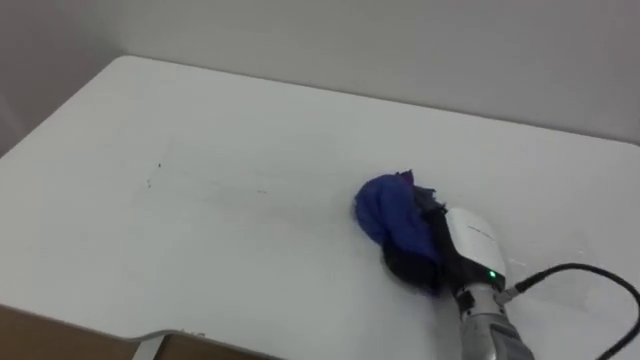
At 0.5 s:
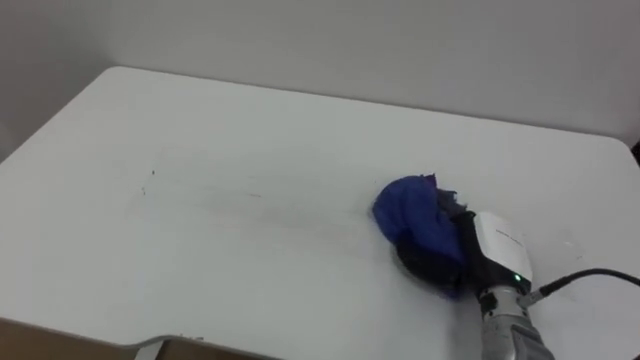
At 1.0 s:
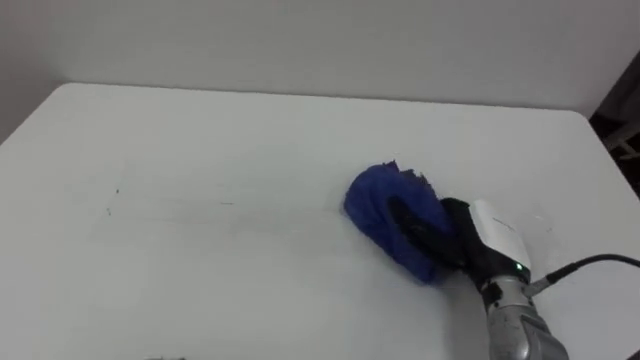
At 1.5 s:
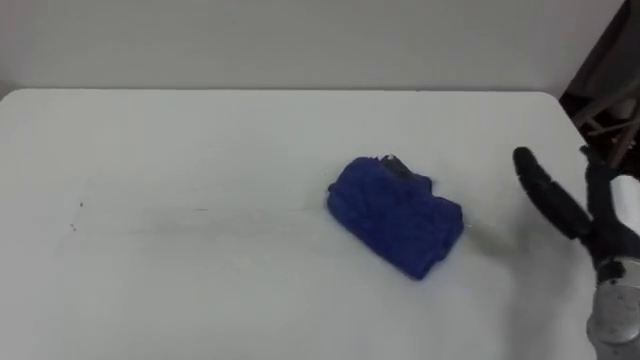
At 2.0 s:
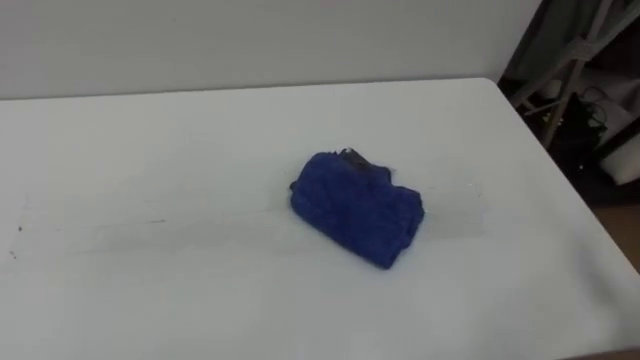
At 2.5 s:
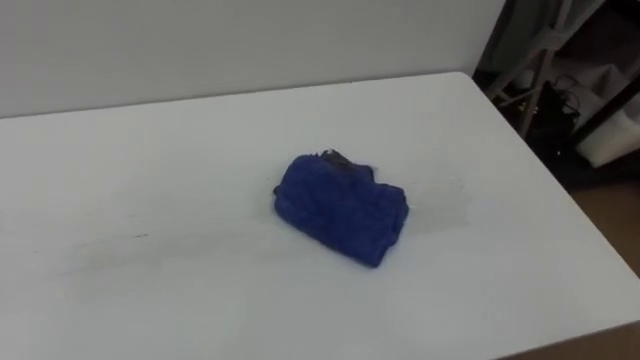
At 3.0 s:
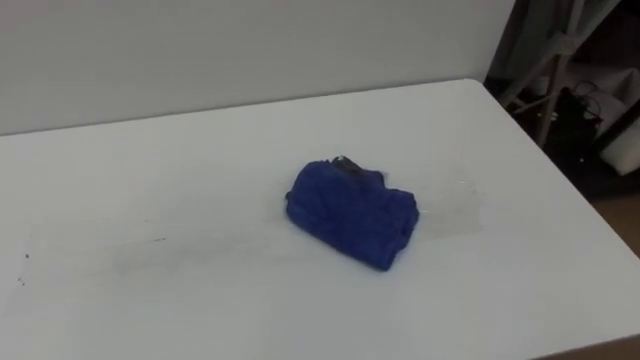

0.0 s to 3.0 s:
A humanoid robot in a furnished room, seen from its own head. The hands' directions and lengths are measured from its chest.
Task of the whole recording: Wipe the blue pen marks off the table with the rag.
0.0 to 1.5 s: The right hand travels to the right and upward by approximately 15 cm, and opens its fingers.

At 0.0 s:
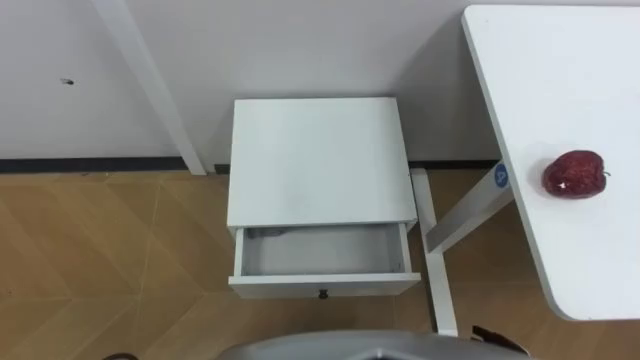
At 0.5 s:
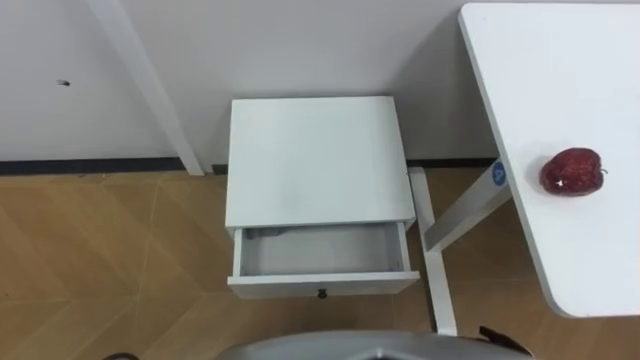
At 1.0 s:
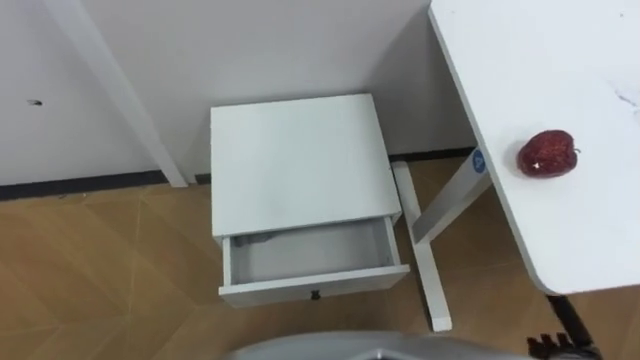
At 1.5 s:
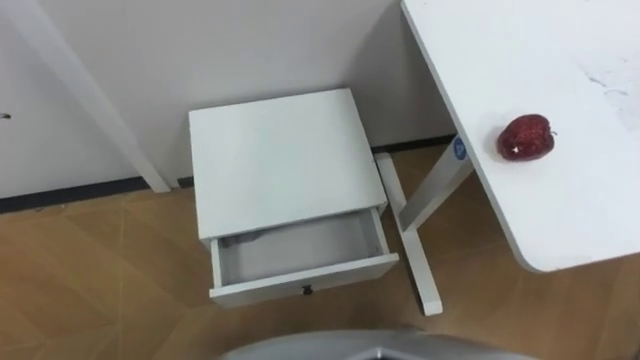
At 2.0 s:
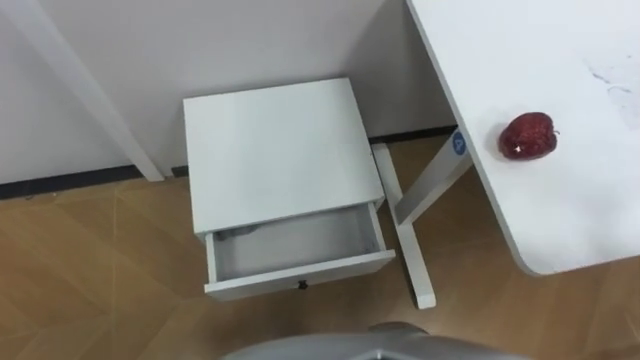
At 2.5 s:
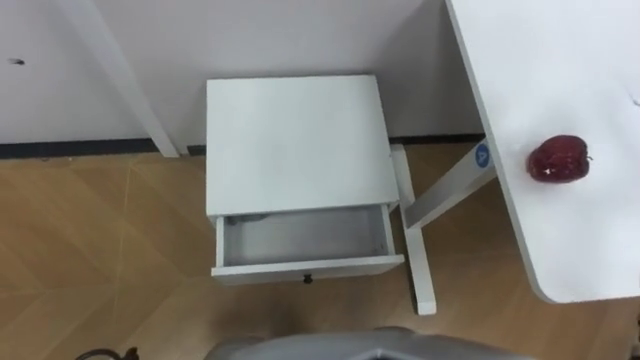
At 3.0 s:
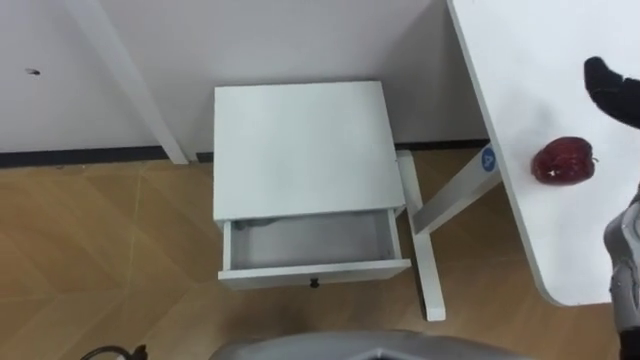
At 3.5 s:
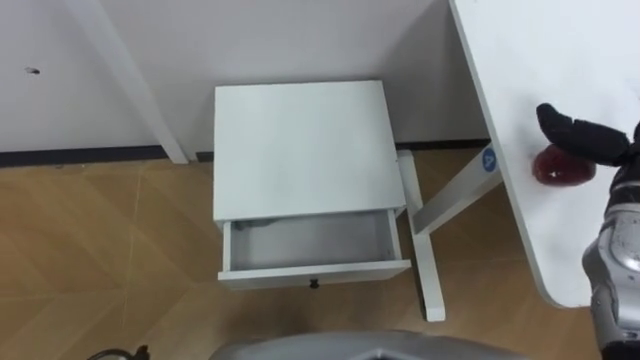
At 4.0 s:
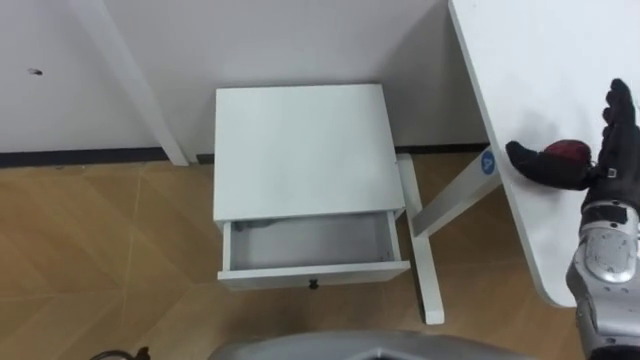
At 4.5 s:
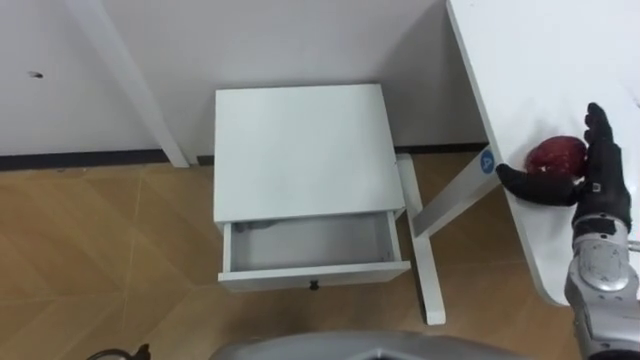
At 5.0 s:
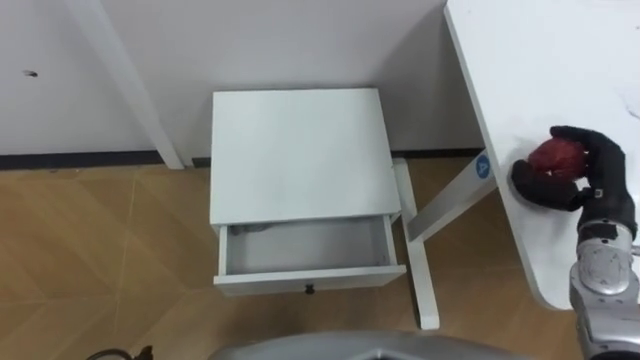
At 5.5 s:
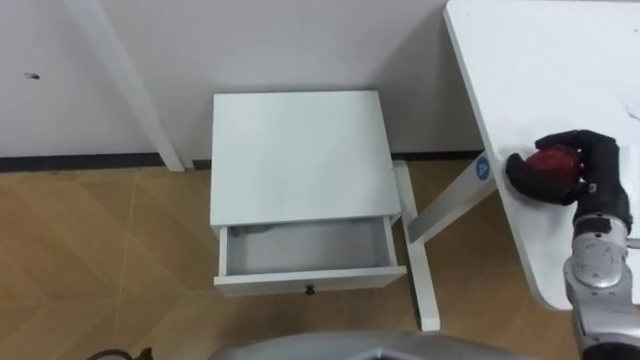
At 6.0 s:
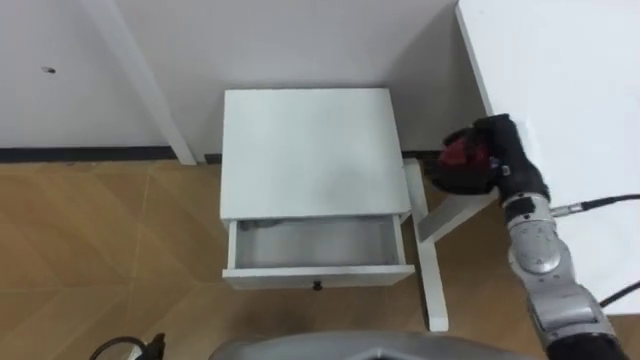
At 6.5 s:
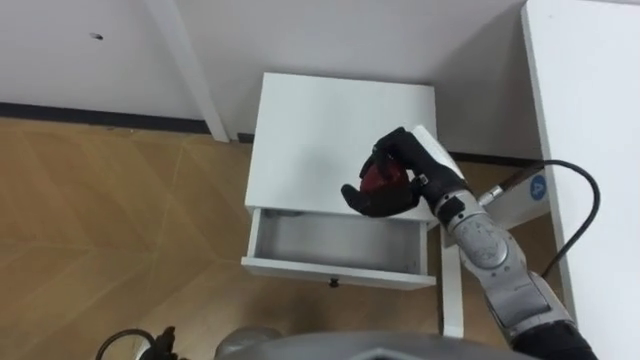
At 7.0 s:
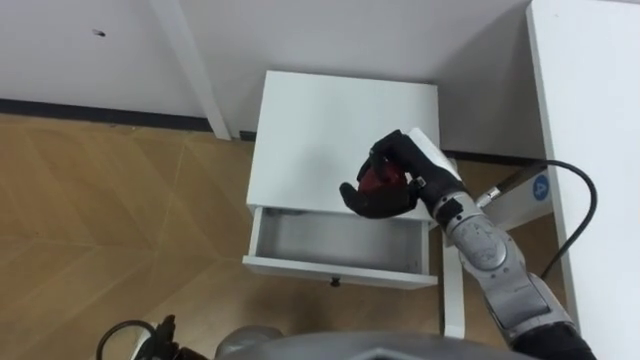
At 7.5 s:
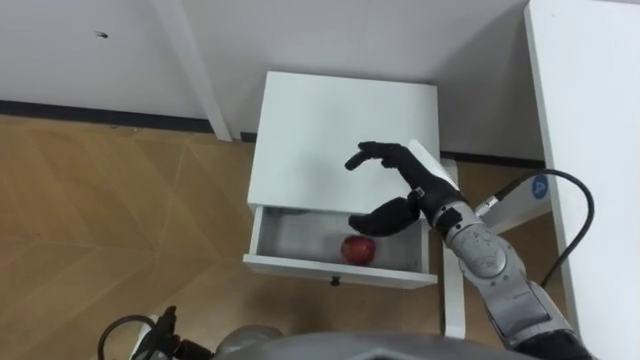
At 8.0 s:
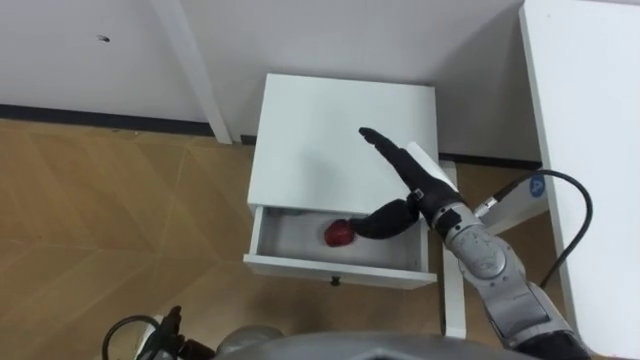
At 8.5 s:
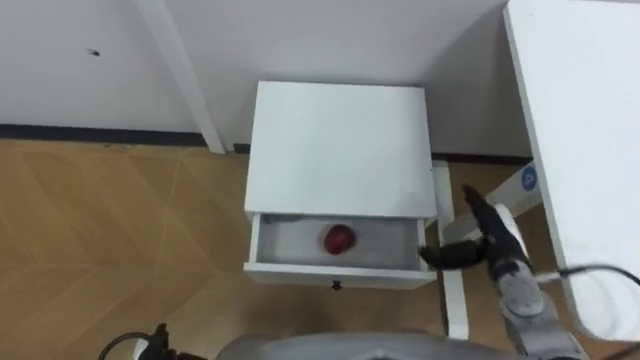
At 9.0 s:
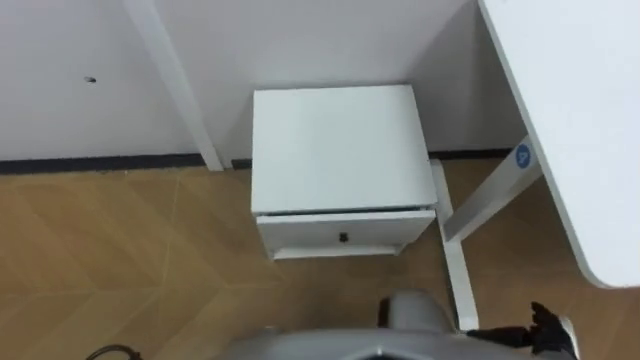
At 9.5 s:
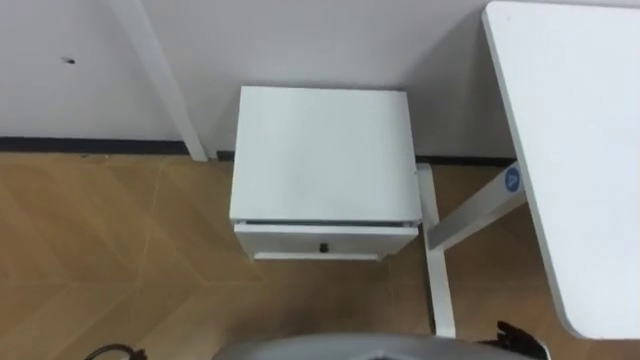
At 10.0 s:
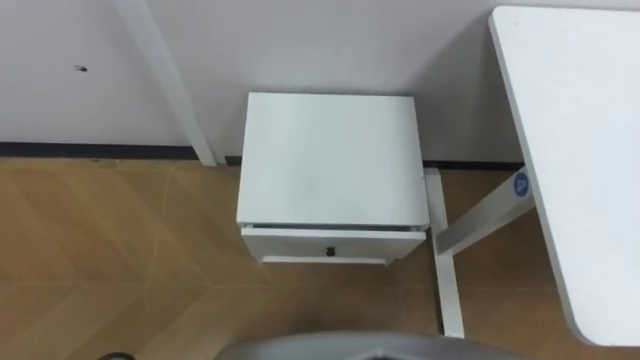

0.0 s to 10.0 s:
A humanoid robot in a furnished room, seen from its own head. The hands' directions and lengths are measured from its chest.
Task of the whole recording: Pick up the apple from the table, put it in the drawer, and close the drawer with leg.
4.0 to 6.0 s: The right hand shifts some 10 cm to the left, and closes its fingers.
6.0 to 8.0 s: The right hand shifts approximately 10 cm to the left, and opens up.

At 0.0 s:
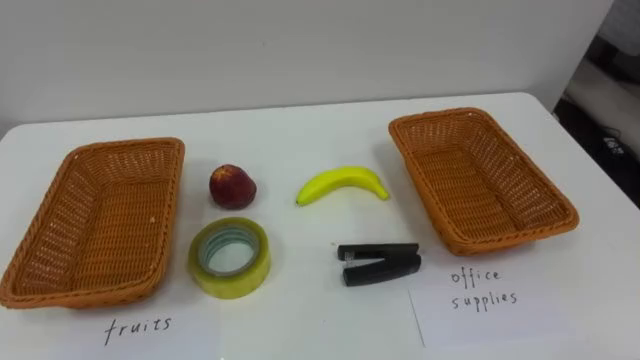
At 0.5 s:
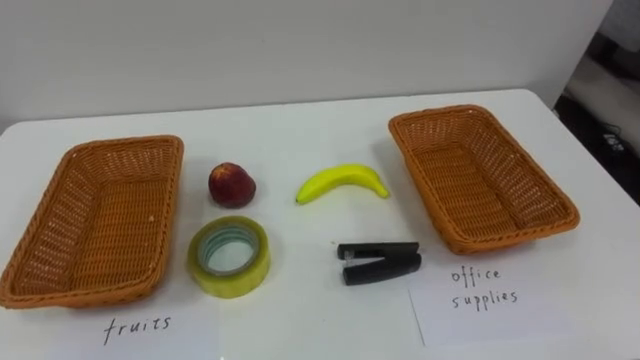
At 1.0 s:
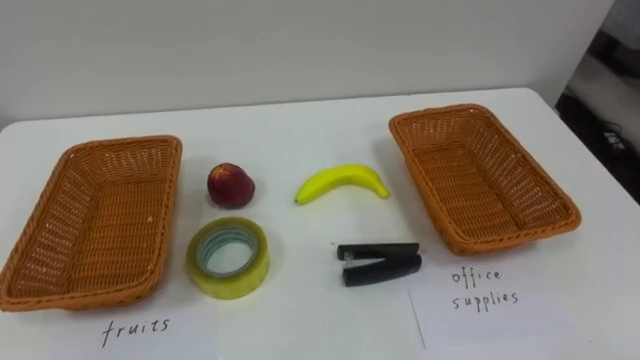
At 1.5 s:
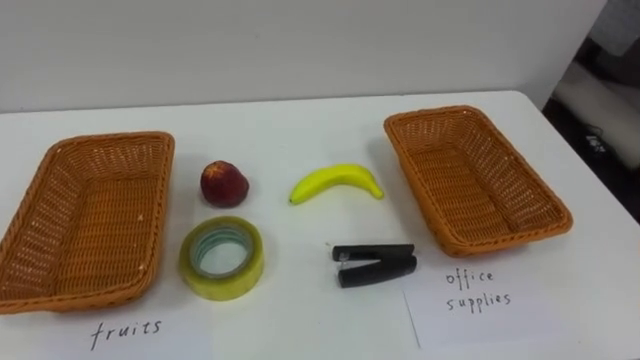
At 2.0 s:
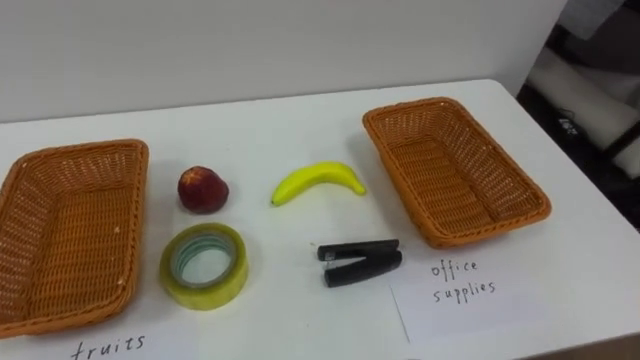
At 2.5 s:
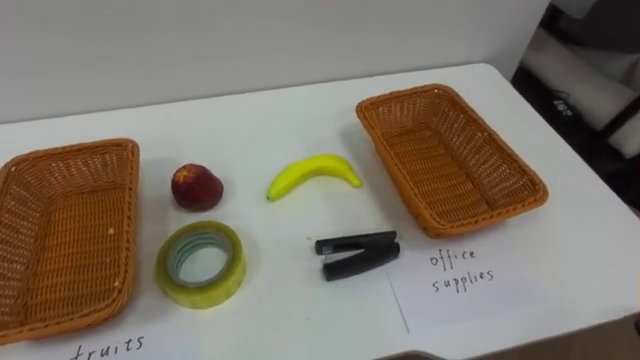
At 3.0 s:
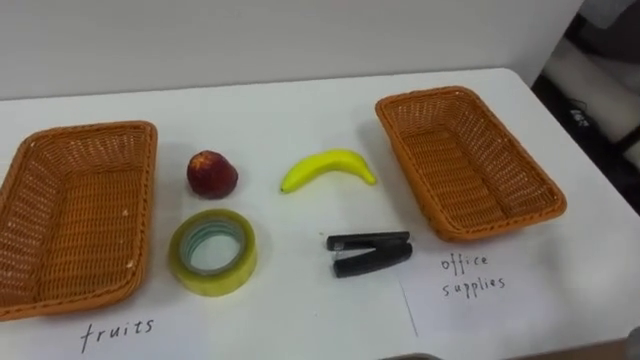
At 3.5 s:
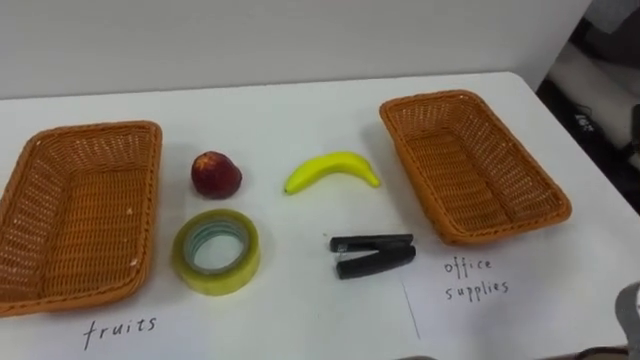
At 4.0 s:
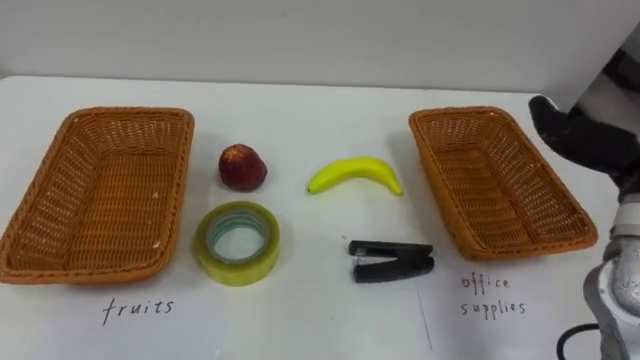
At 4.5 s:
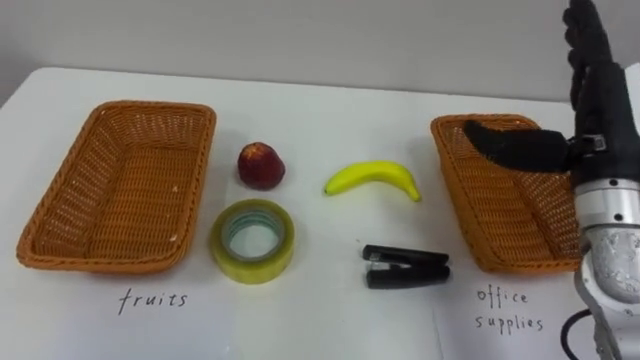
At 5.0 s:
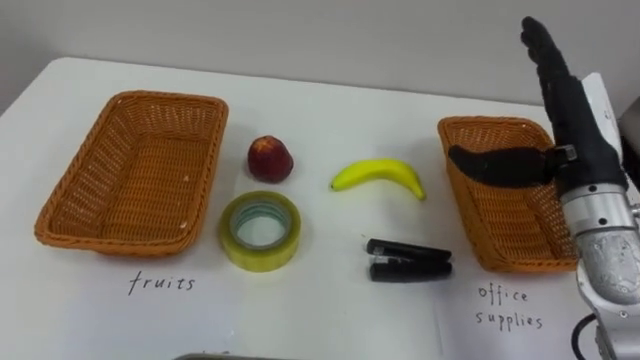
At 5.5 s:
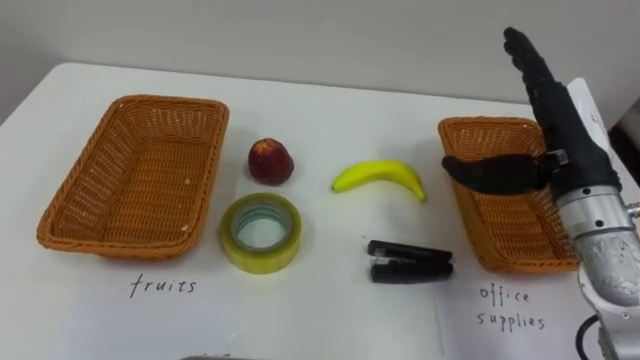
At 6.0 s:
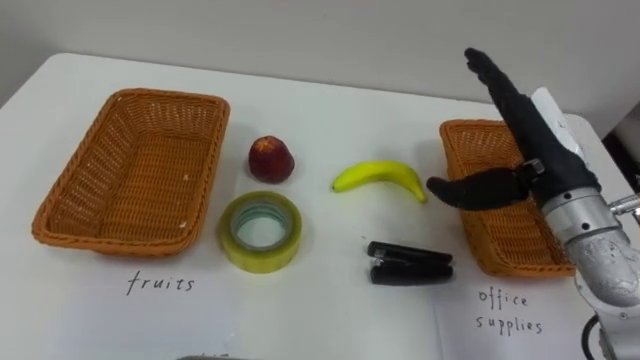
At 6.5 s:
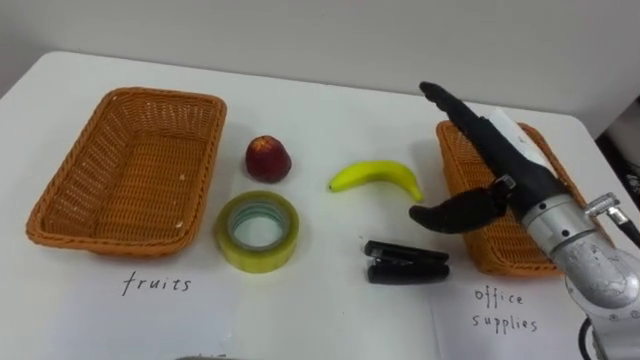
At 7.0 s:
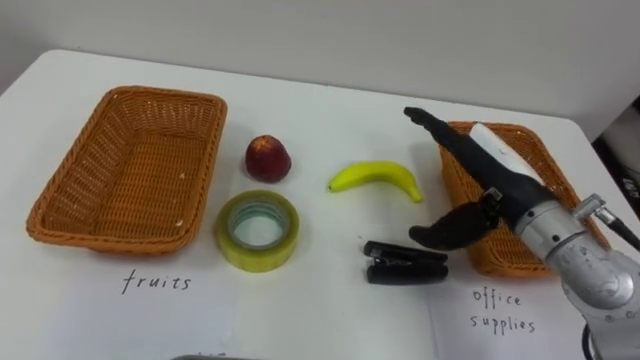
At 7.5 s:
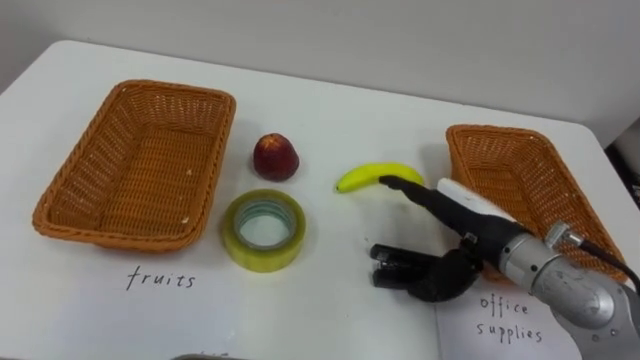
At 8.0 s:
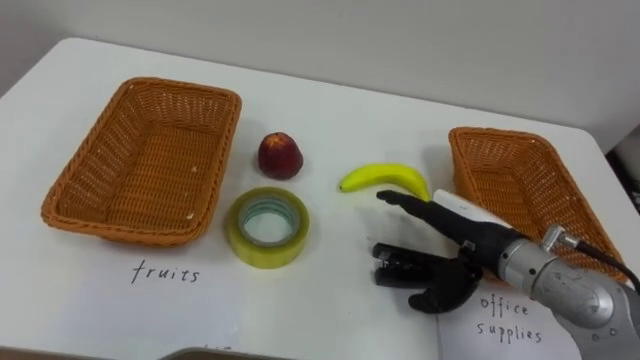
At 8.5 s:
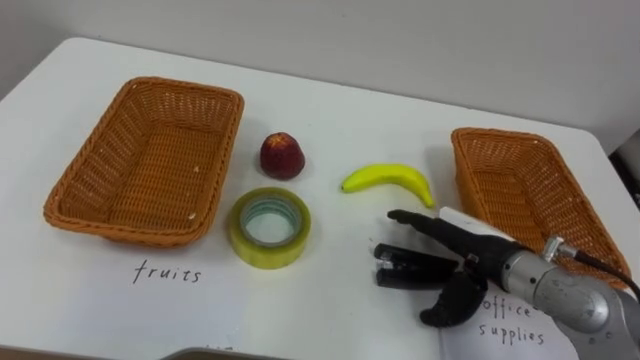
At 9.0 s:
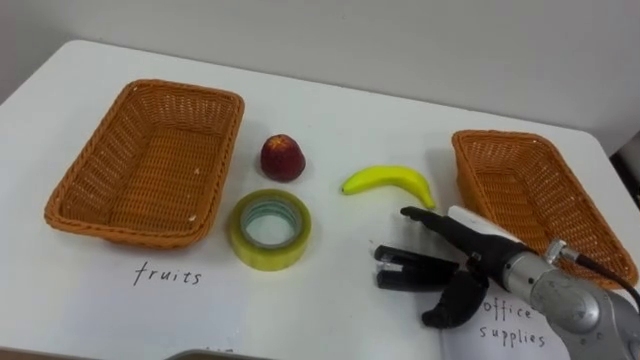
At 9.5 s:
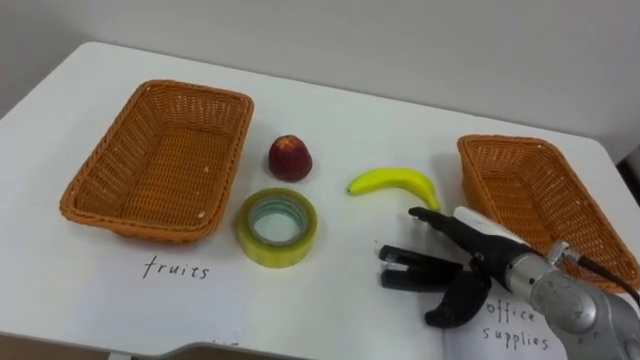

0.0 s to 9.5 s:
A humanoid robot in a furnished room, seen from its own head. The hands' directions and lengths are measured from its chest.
Task of the whole recording: Separate the items on the table and place them into the two baskets.
5.5 to 7.5 s: The right hand moves downward and to the left, approximately 10 cm.
7.5 to 9.5 s: The right hand goes about 5 cm downward.
